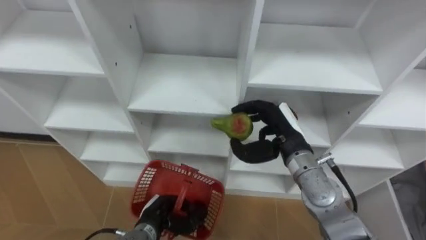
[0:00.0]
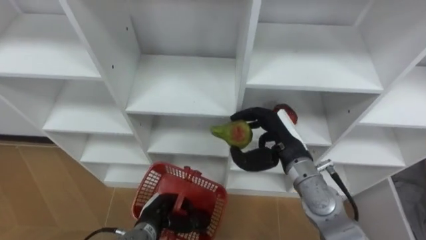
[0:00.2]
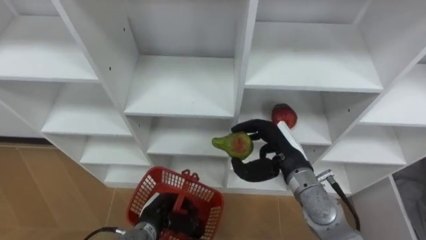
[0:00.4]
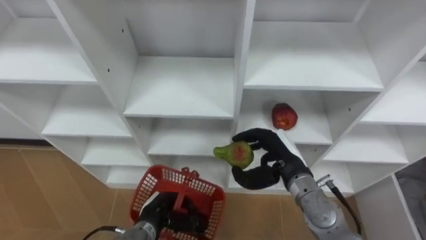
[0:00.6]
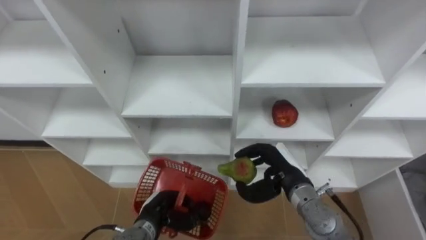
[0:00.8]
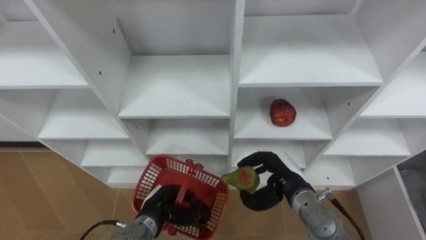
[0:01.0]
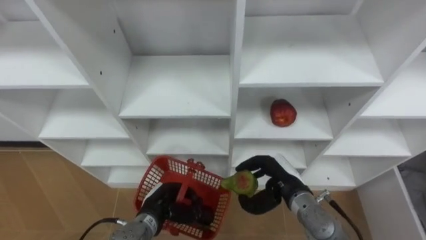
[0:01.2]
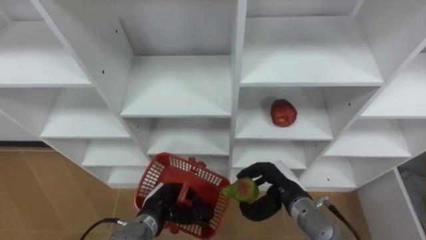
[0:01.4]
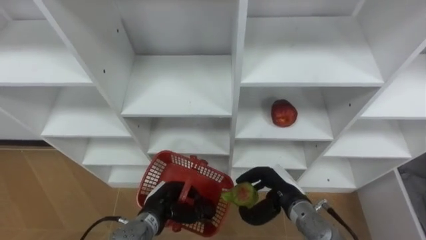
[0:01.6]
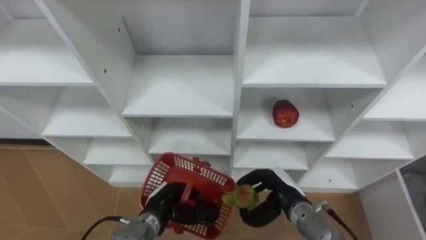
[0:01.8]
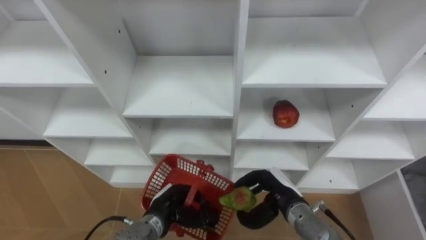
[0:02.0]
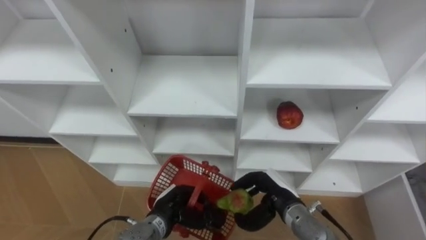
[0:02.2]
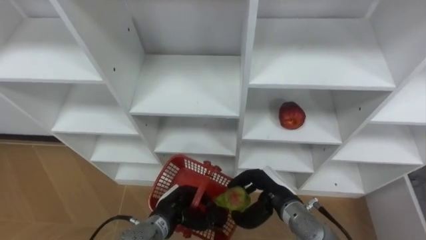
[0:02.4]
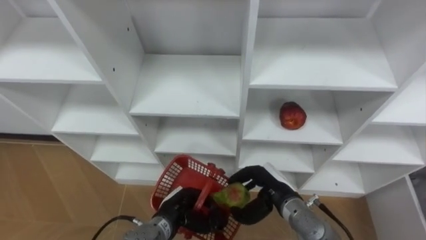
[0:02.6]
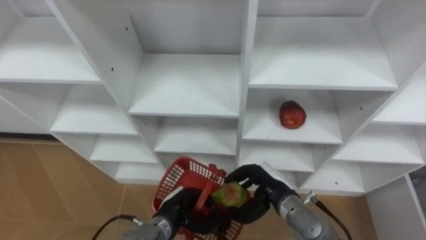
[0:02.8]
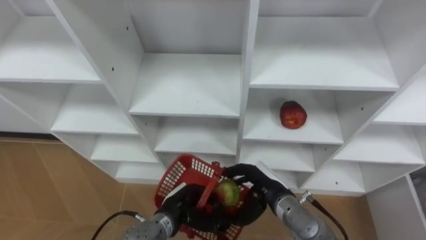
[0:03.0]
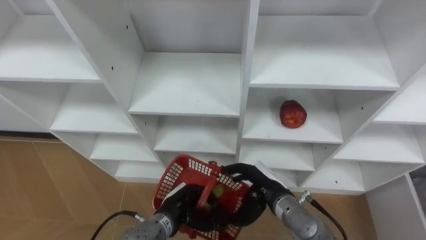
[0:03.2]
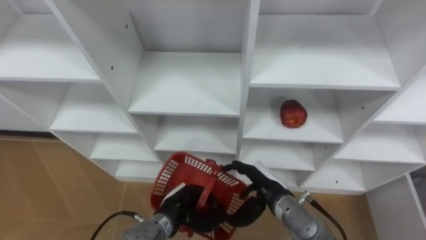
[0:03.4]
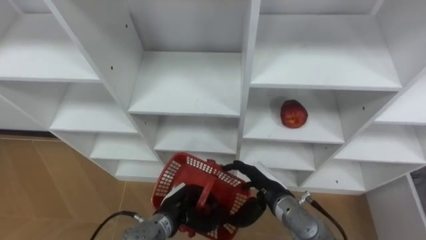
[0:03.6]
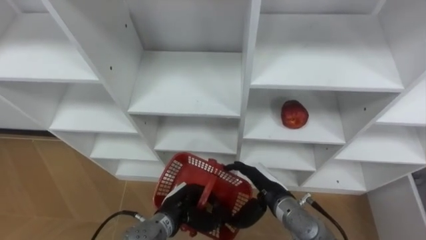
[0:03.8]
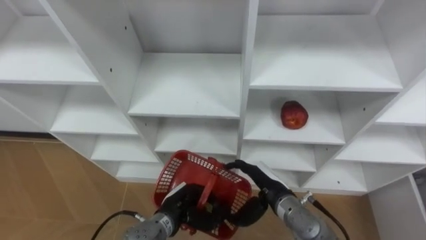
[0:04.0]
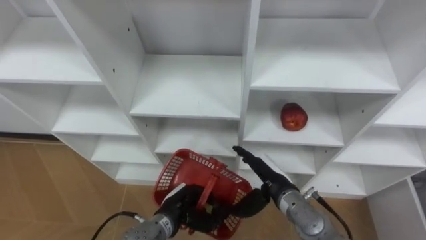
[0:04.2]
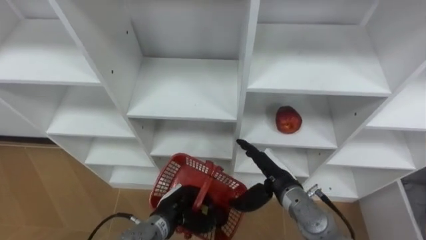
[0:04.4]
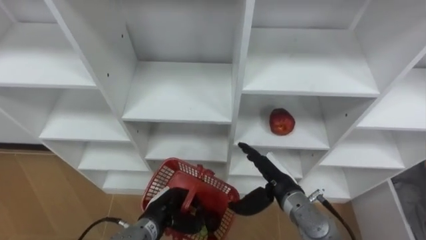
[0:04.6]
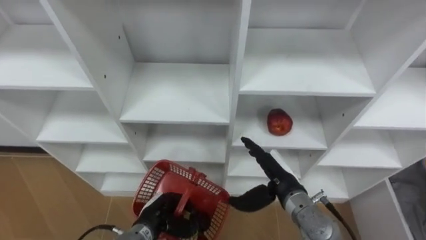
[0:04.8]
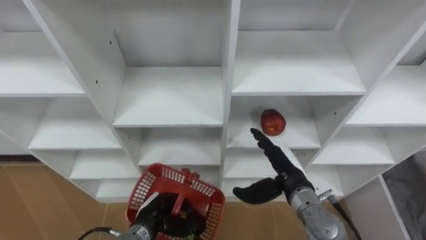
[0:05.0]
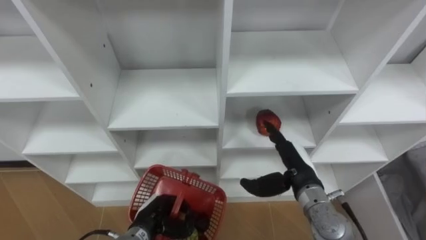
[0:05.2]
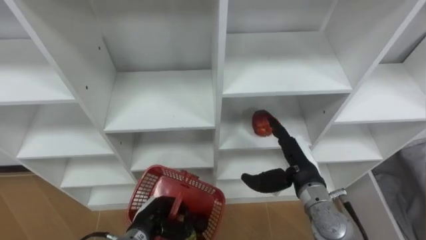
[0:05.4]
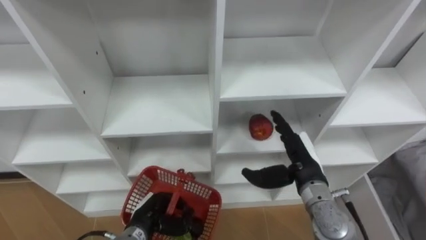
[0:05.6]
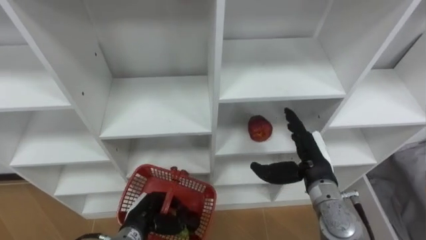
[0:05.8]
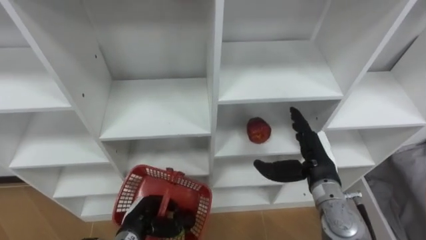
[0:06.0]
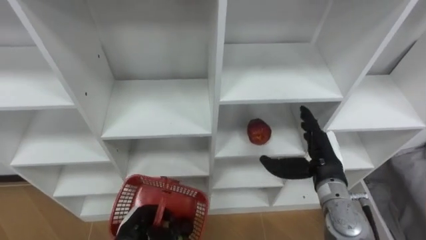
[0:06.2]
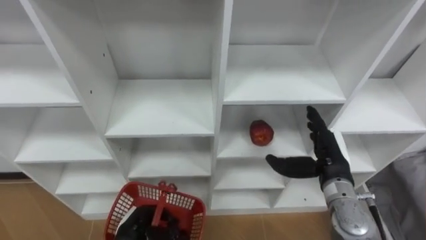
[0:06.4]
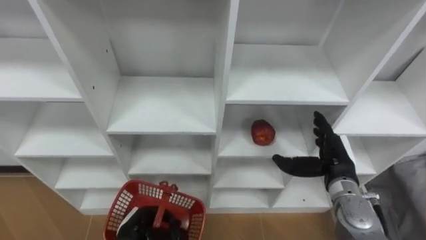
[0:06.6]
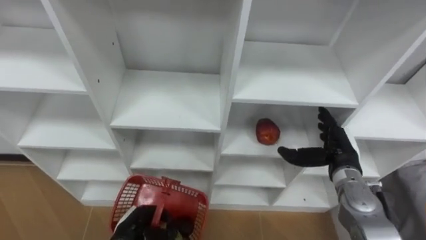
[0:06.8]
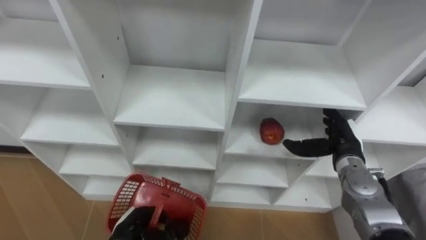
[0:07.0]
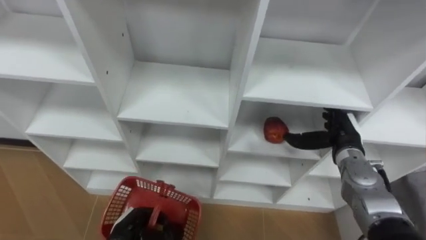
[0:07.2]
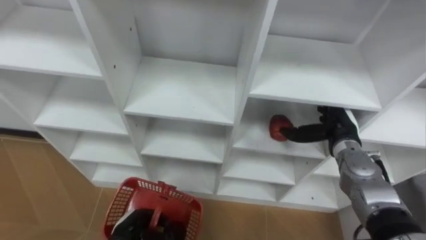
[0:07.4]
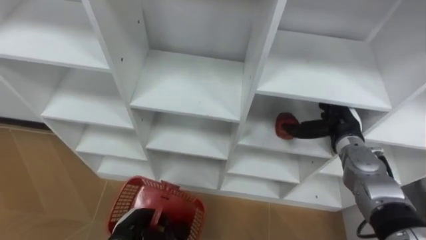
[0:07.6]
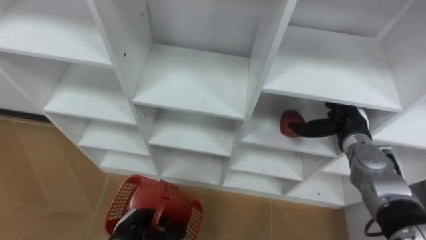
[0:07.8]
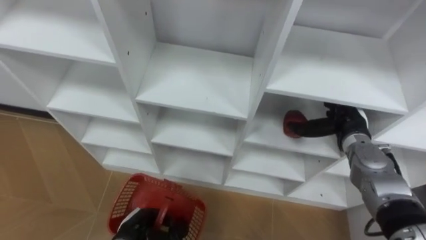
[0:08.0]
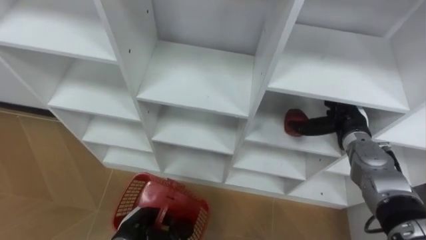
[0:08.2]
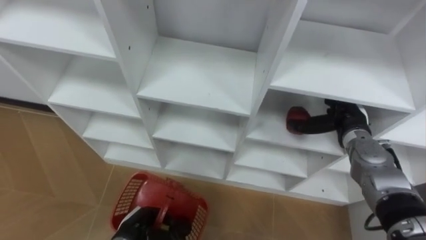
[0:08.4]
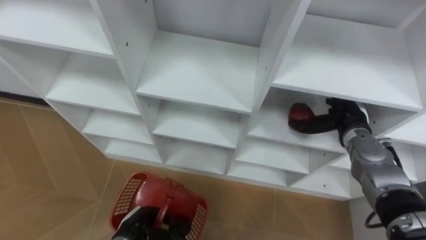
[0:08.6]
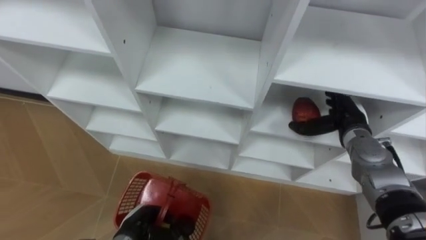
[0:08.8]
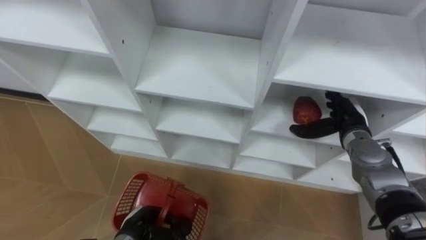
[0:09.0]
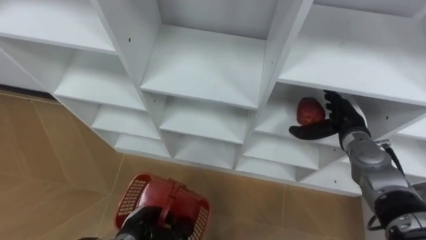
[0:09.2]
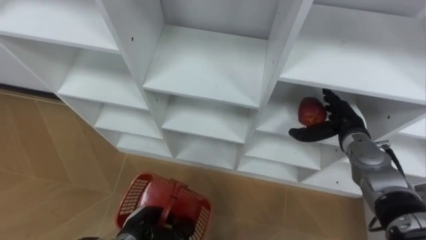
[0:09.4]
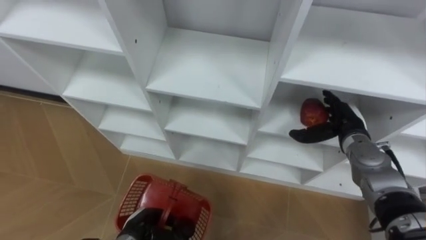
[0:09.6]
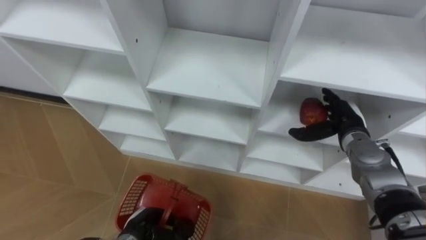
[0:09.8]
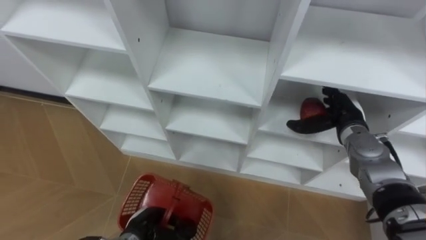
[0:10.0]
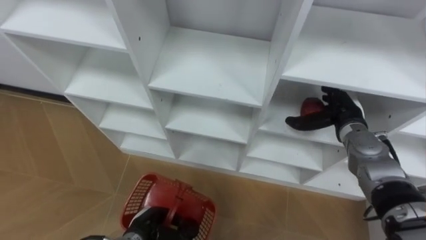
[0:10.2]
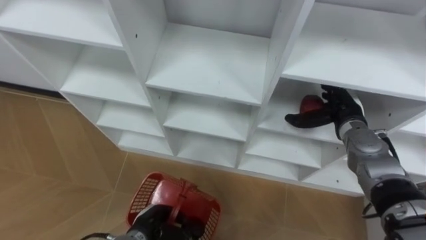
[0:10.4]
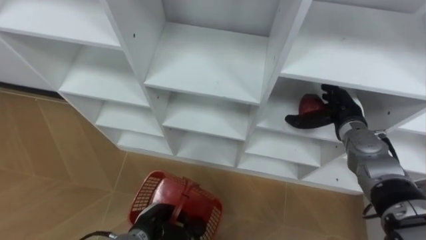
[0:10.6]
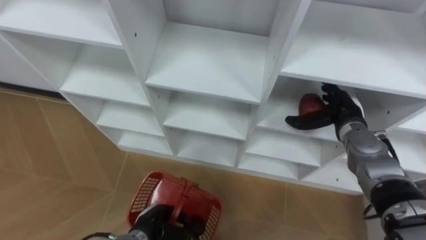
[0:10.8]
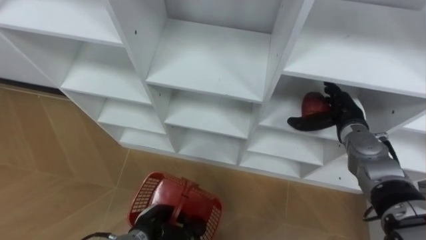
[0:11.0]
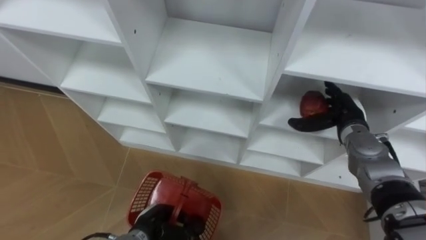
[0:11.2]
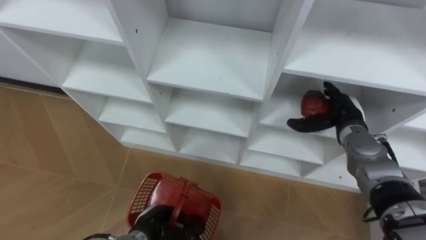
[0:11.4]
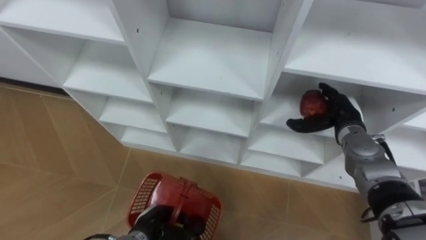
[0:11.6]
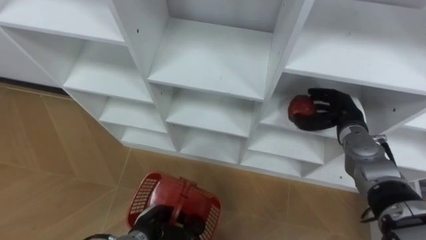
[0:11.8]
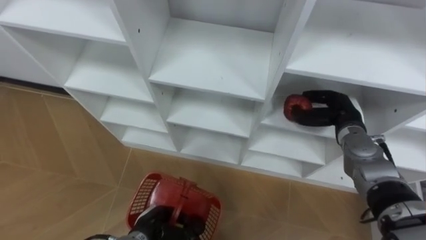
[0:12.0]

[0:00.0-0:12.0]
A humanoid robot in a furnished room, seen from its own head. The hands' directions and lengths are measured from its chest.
Task of the whole recording: Hold the basket and collect the fruits from 3 different cells of the closet into it.
0.0 to 1.6 s: The right hand heads downward and backward, covering approximately 15 cm.
3.0 to 4.4 s: The right hand opens up.
4.4 to 6.0 s: The left hand goes roughly 5 cm to the left. Meanwhile the right hand shifts about 10 cm to the right and upward.
6.0 to 7.6 s: The right hand shifts some 10 cm forward and to the right.
10.4 to 12.0 s: The right hand closes.

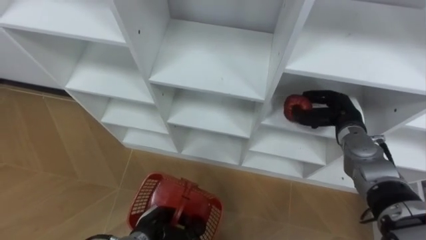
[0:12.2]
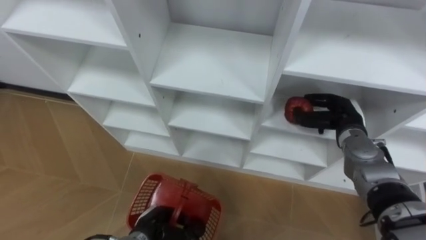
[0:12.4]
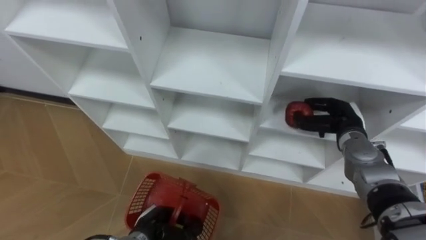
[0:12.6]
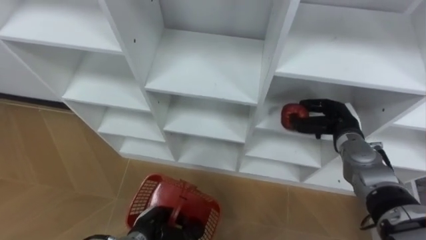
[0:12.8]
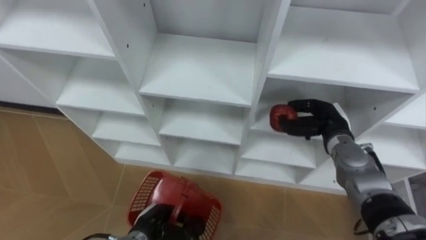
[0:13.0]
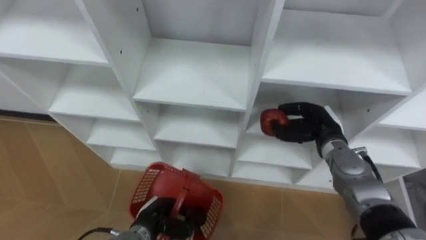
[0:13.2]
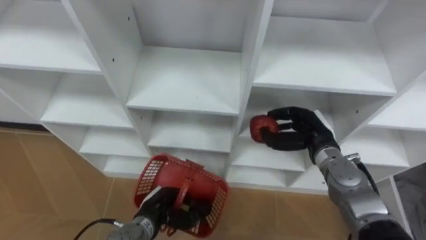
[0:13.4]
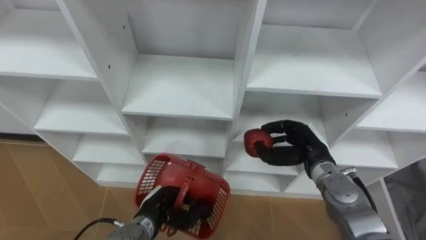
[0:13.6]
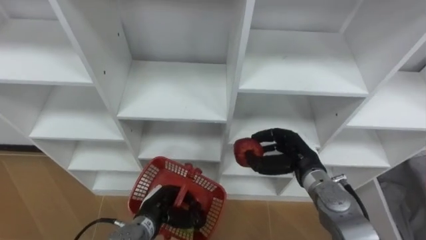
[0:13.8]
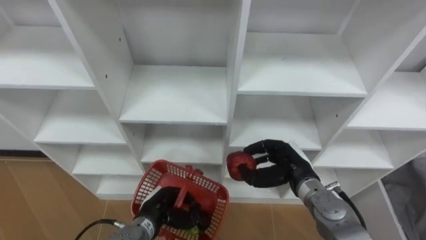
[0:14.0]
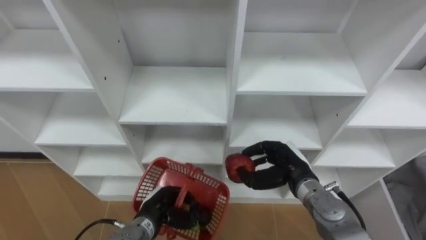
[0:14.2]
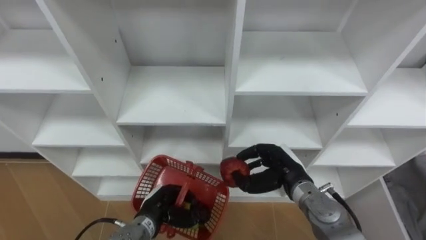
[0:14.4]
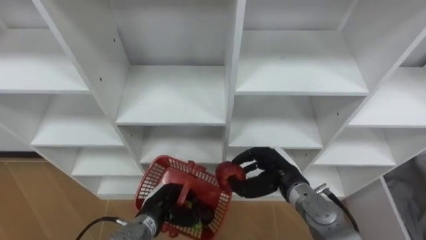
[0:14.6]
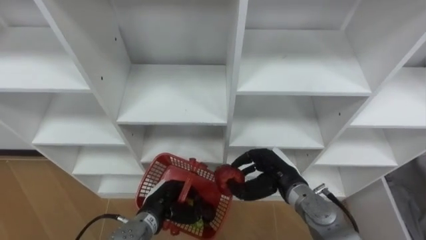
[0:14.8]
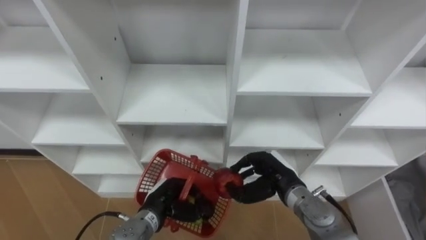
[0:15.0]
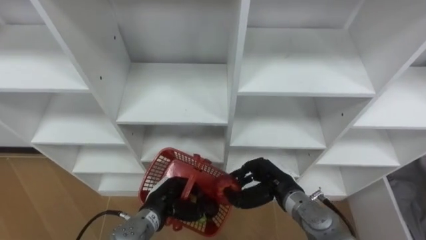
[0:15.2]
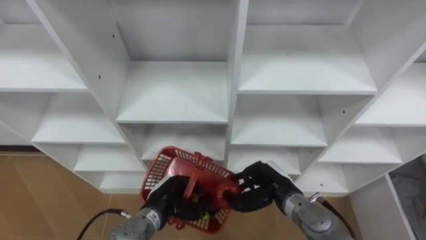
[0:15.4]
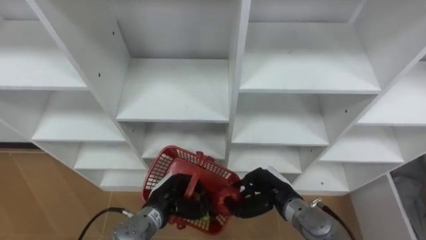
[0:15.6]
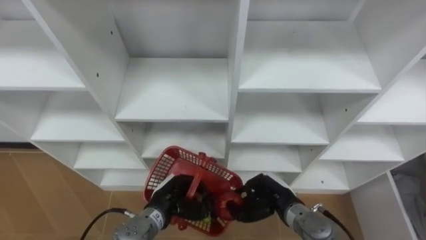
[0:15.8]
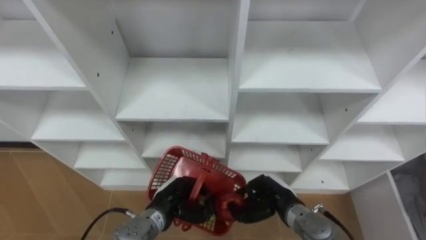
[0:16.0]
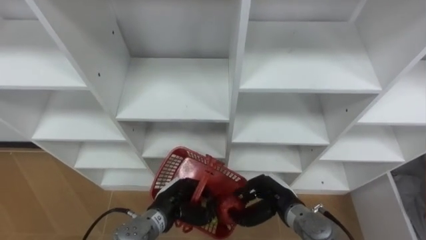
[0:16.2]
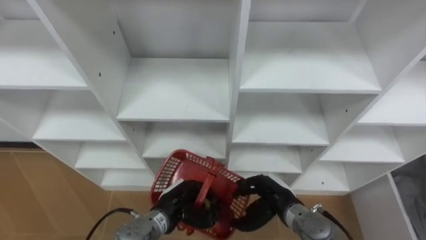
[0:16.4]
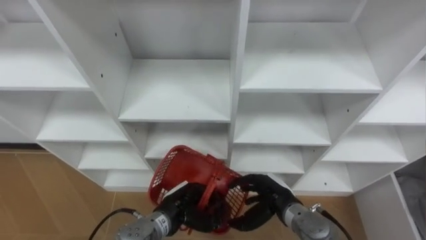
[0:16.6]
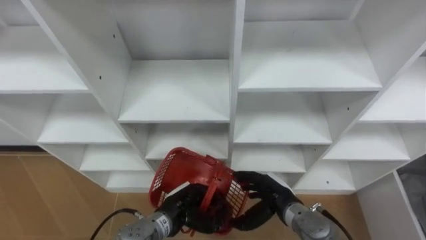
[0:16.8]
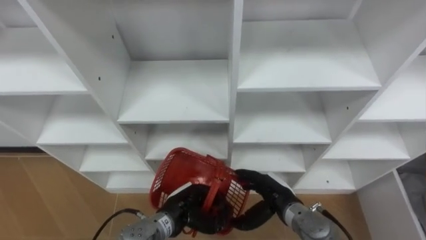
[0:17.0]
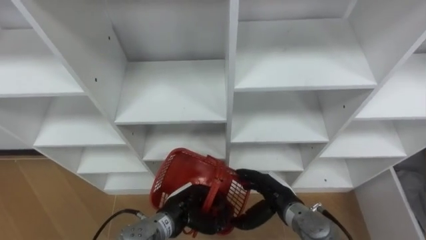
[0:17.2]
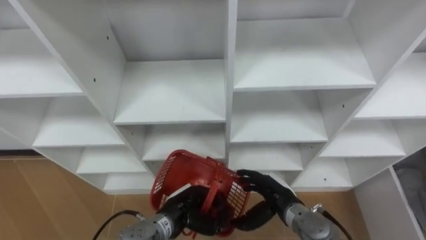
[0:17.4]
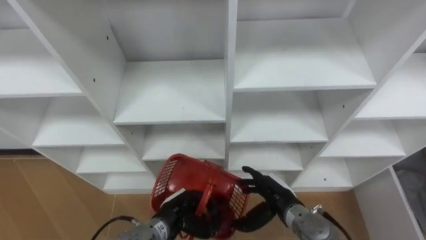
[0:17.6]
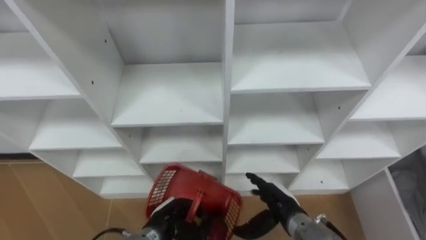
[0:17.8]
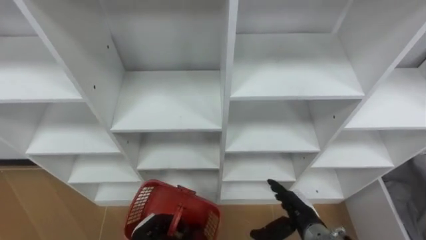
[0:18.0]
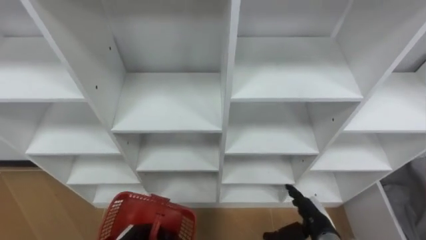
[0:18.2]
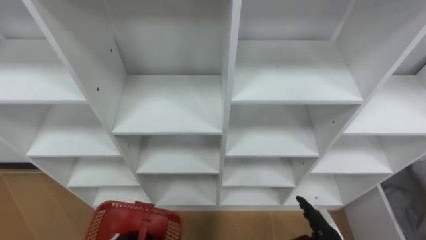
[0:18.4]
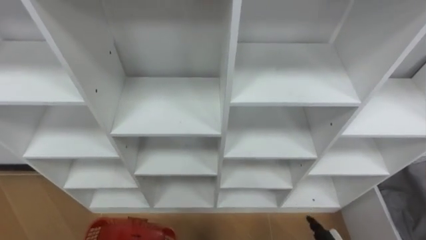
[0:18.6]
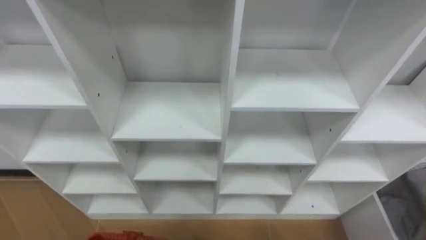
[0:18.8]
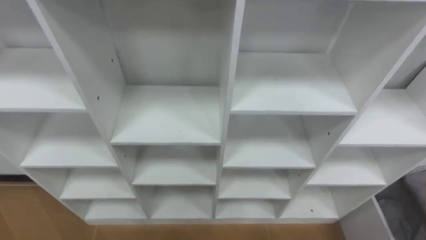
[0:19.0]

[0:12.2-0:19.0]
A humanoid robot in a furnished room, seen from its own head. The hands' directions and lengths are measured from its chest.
Task of the whole recording: Hold the basket and collect the fruits from 3 different cells of the closet into it.
12.2 to 13.6 s: The right hand travels to the left and backward by some 10 cm.
13.6 to 15.0 s: The right hand shifts roughly 5 cm to the left.
15.0 to 16.2 s: The right hand changes place by approximately 5 cm.
16.2 to 17.6 s: The right hand opens its fingers.
